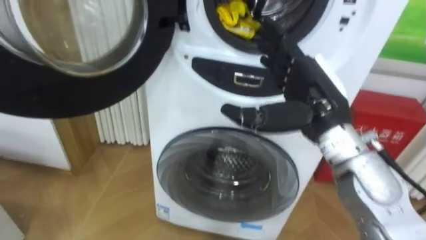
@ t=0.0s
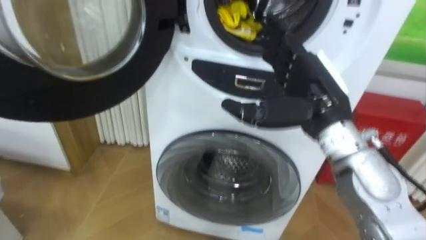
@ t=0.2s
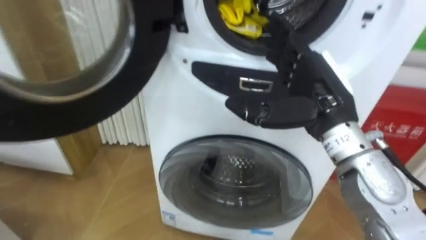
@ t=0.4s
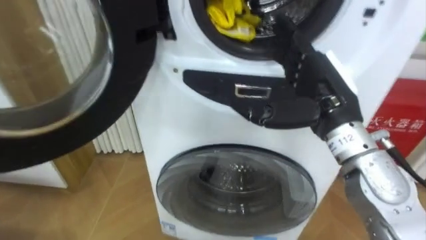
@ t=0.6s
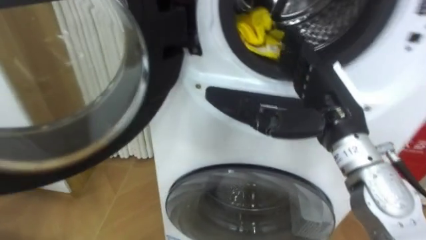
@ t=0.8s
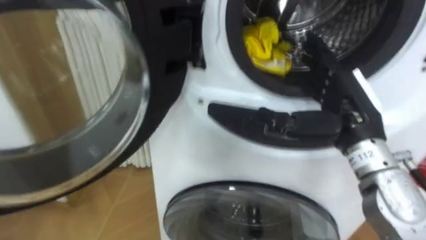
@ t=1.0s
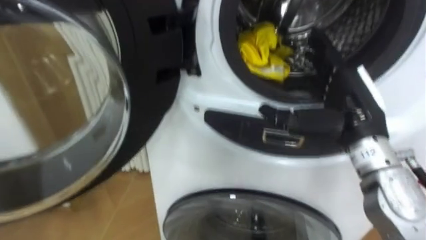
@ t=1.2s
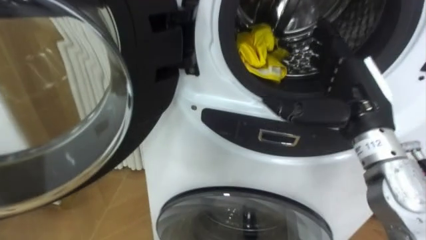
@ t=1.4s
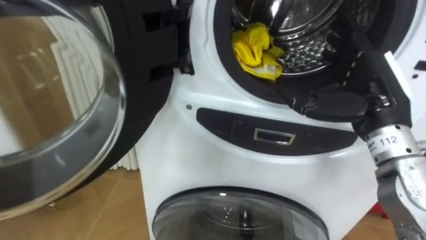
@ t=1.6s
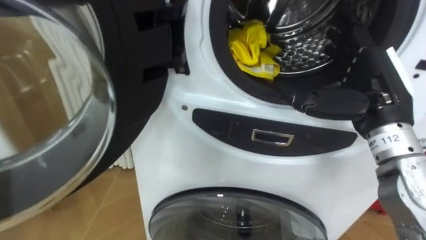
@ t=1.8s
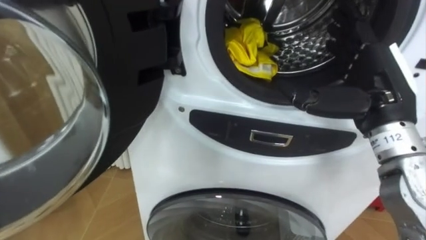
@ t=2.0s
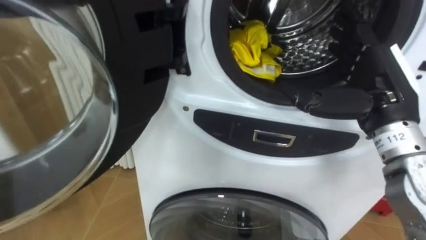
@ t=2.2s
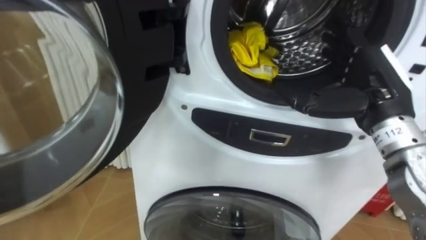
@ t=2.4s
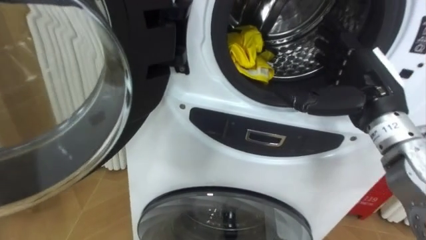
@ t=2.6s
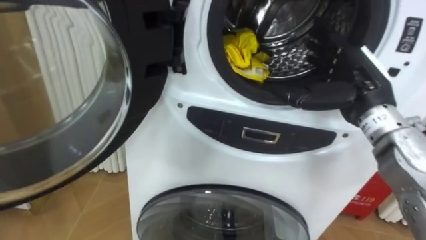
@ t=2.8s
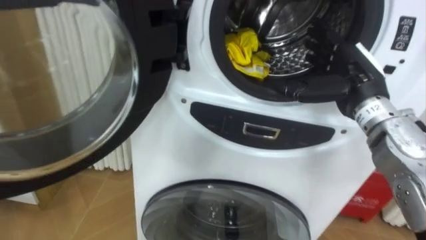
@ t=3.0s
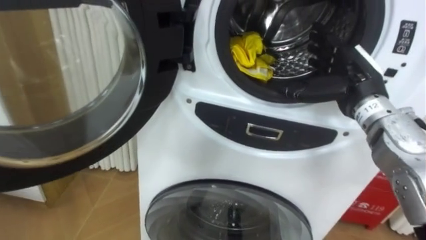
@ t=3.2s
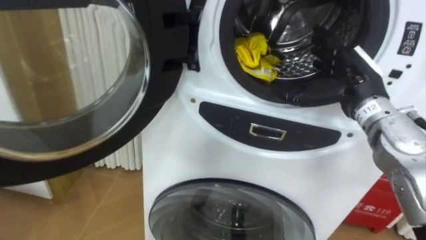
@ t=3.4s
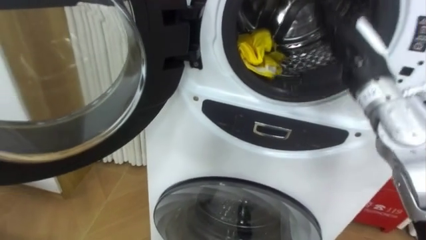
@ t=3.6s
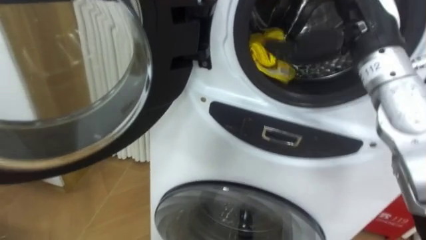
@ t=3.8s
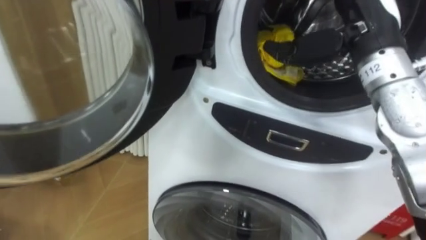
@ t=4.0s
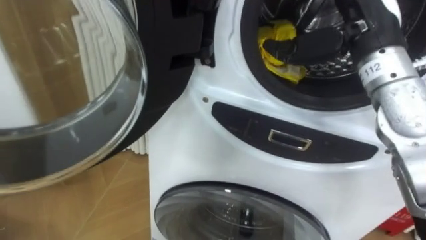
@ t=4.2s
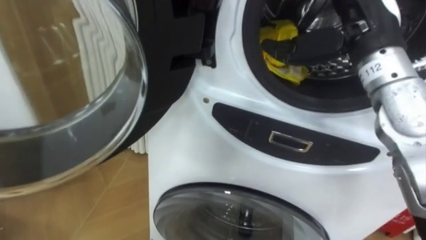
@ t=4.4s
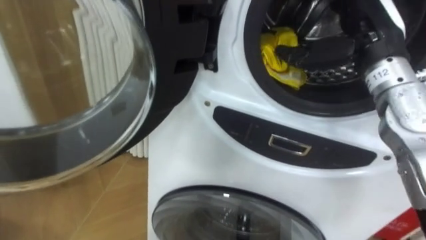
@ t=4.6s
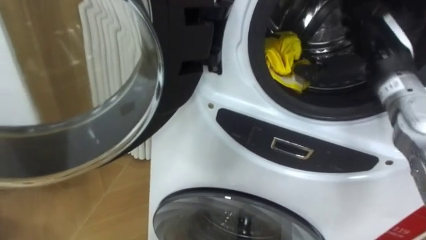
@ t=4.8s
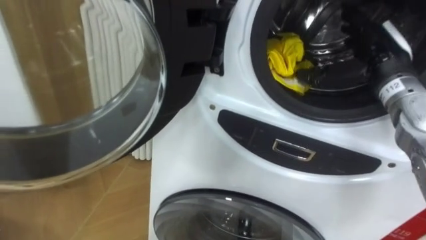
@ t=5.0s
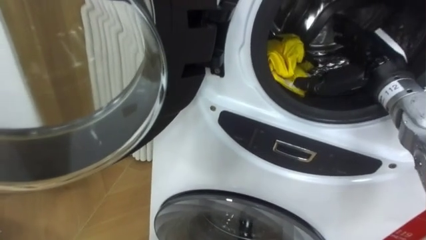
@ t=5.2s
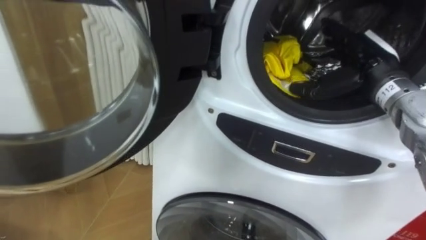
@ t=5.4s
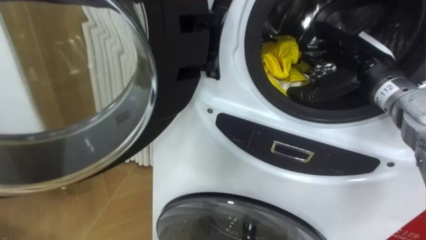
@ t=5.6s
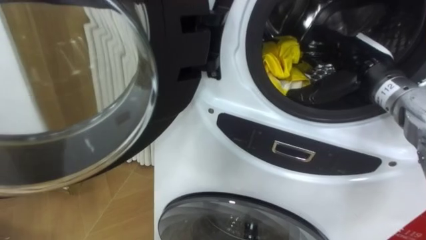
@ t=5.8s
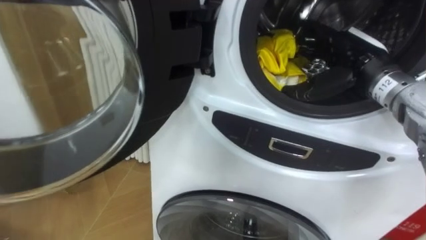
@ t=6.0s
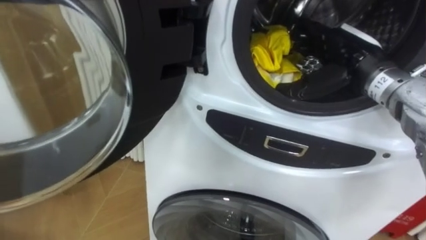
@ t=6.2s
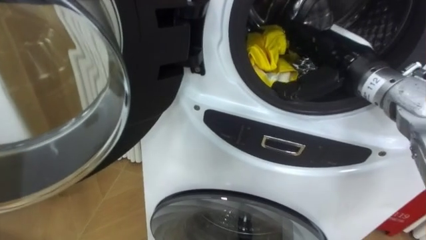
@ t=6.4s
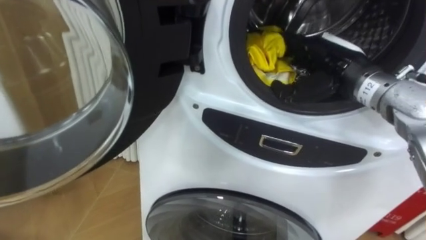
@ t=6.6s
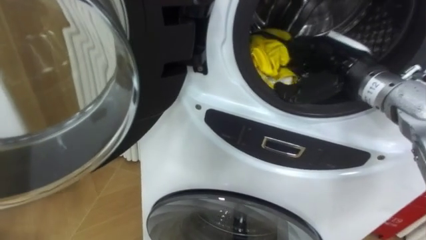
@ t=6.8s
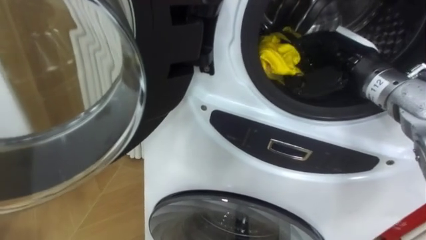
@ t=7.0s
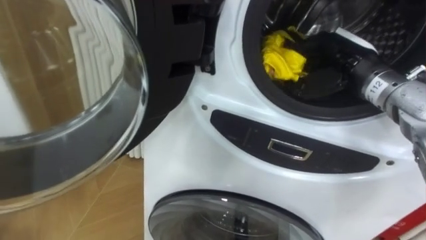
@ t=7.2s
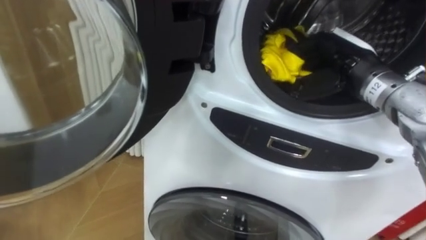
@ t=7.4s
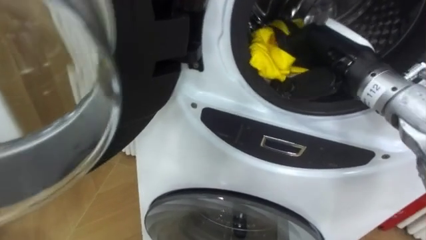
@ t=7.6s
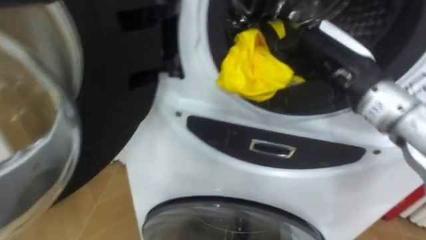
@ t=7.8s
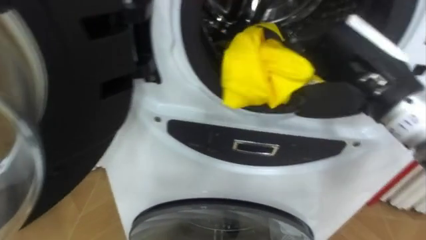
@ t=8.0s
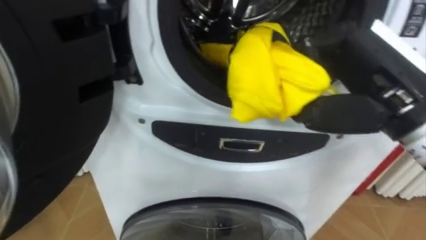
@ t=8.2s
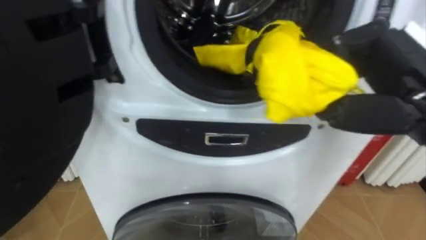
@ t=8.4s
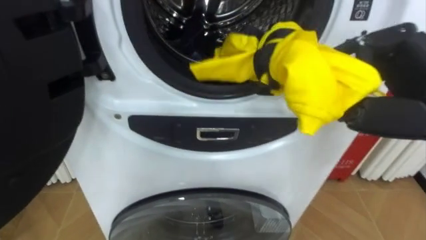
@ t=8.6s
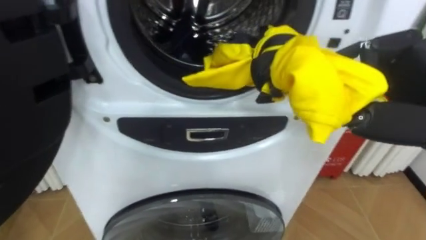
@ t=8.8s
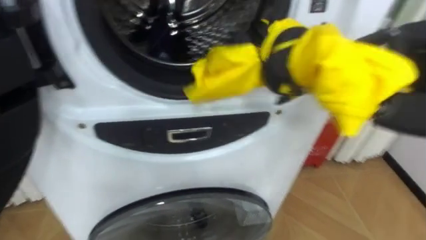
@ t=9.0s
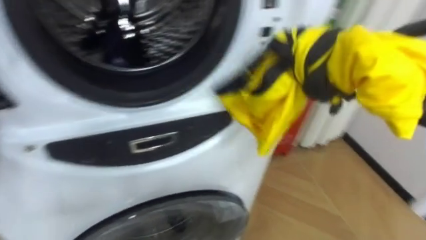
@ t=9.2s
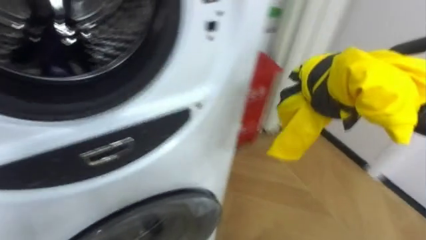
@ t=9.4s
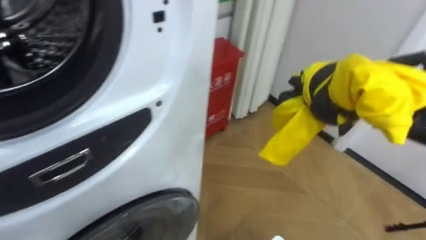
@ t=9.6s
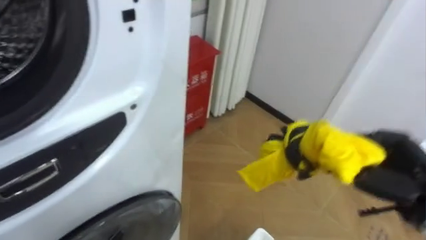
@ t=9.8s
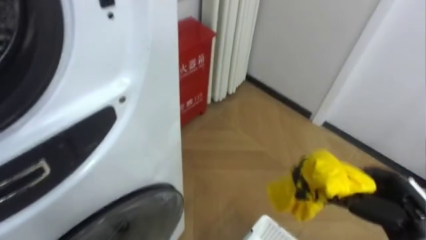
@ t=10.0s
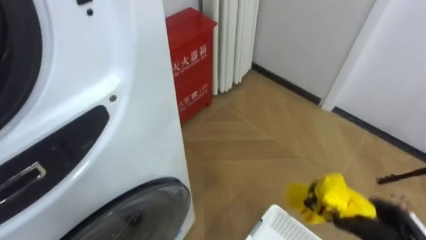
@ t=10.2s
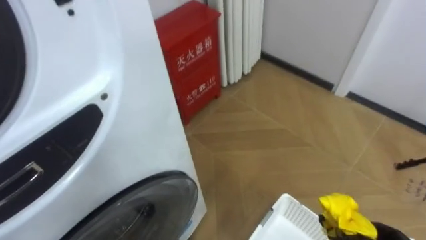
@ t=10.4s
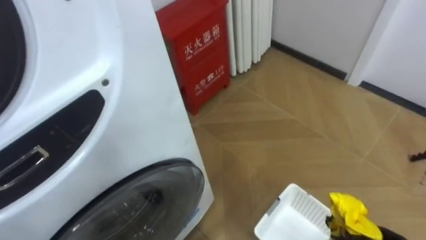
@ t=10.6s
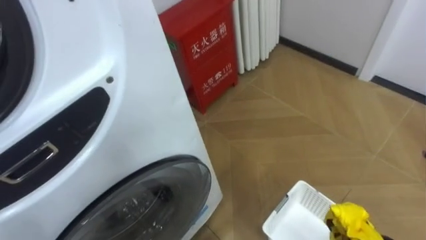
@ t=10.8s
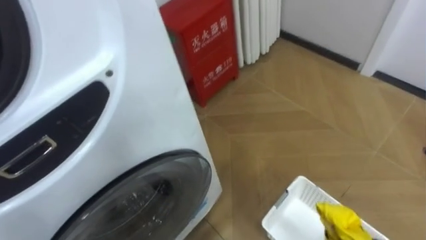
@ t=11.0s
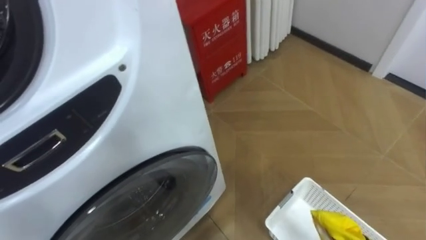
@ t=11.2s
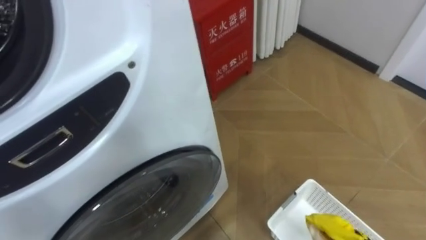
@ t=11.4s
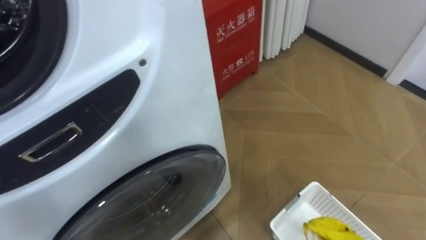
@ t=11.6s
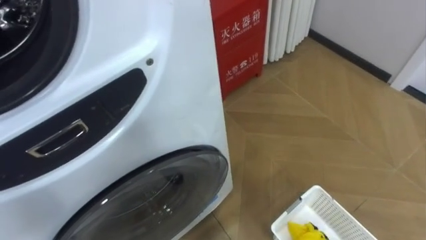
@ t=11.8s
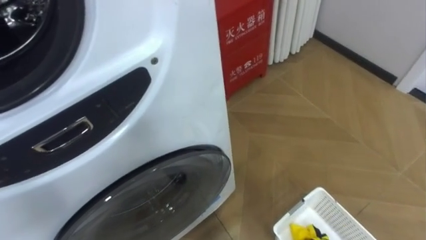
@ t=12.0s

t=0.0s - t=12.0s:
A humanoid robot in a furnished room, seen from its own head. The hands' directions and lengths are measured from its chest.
Task of the whole recording: Open the washing machine door, take out the yellow clothes, place them in the box on the right, and close the washing machine door.
t=0.0s - t=1.6s: The right hand goes approximately 10 cm to the right.
t=1.6s - t=3.0s: The right hand moves forward, some 5 cm.
t=3.0s - t=4.4s: The right hand is displaced upward by approximately 10 cm.
t=4.4s - t=6.0s: The right hand is displaced downward by approximately 10 cm.
t=6.0s - t=7.6s: The right hand moves some 5 cm, and closes.
t=9.0s - t=10.4s: The robot faces some 25 degrees further to its right.

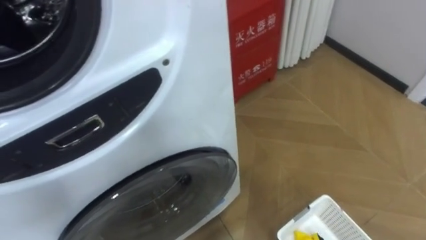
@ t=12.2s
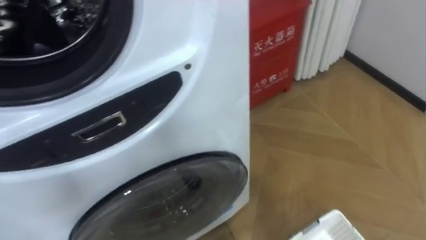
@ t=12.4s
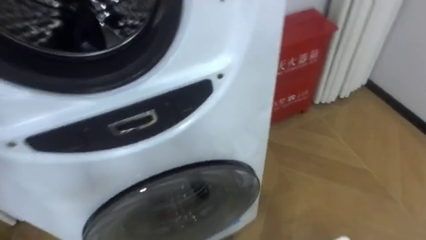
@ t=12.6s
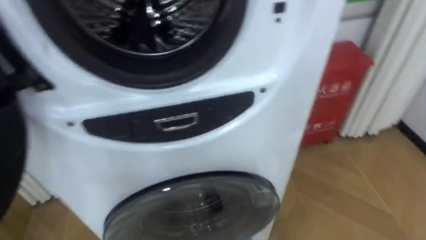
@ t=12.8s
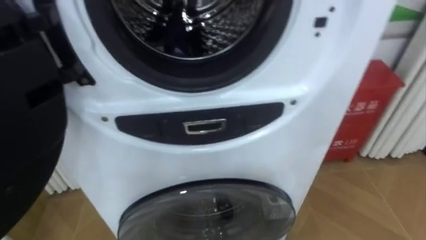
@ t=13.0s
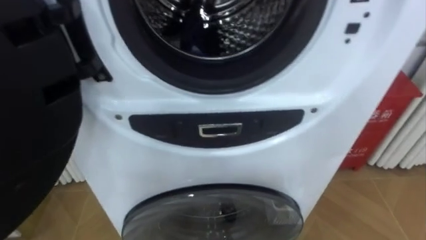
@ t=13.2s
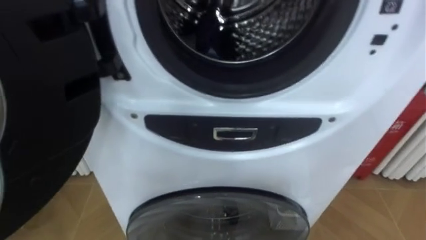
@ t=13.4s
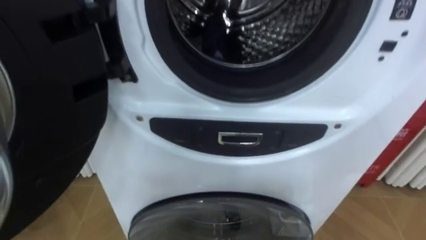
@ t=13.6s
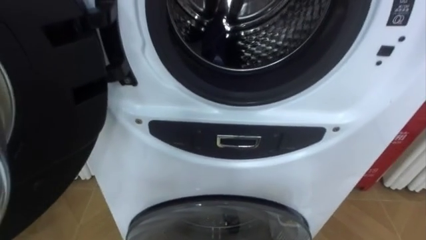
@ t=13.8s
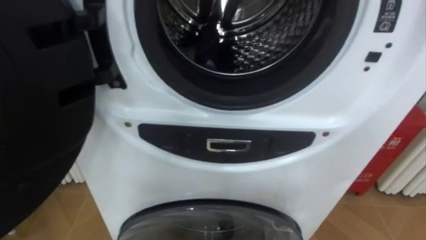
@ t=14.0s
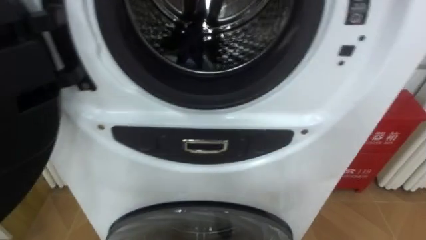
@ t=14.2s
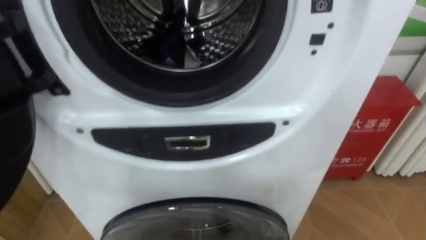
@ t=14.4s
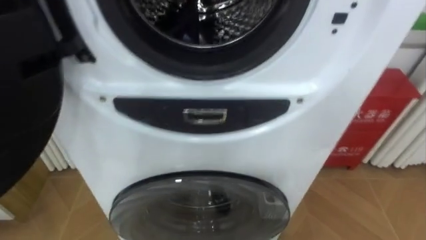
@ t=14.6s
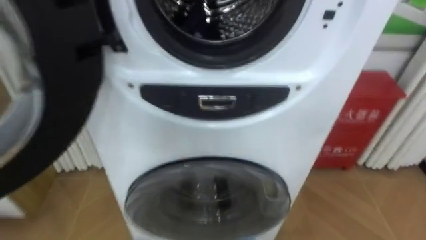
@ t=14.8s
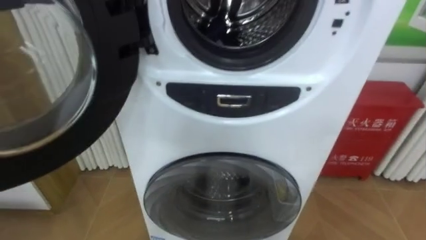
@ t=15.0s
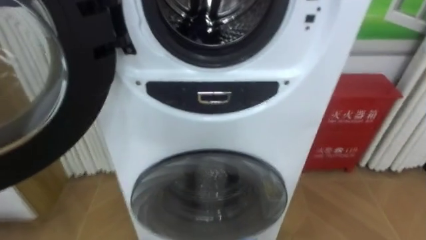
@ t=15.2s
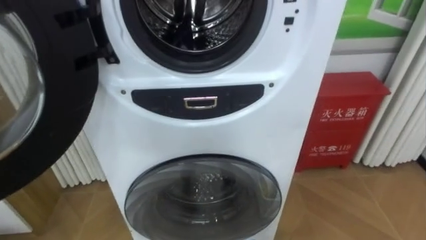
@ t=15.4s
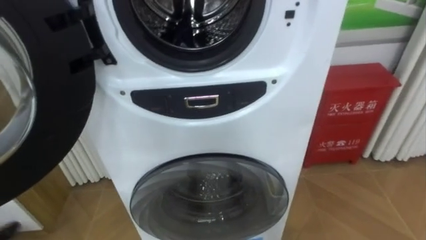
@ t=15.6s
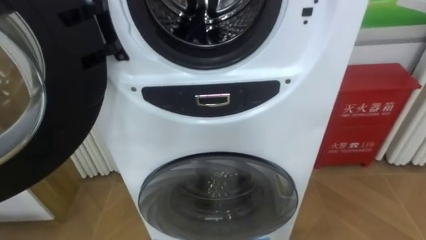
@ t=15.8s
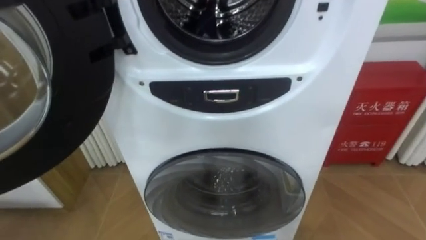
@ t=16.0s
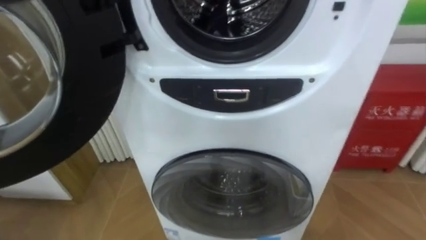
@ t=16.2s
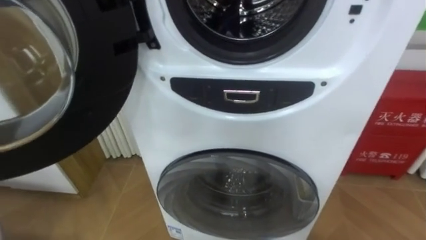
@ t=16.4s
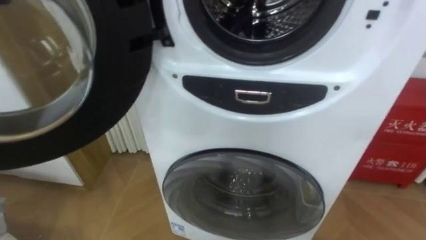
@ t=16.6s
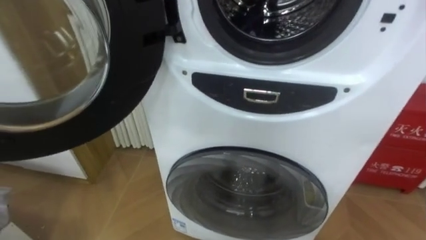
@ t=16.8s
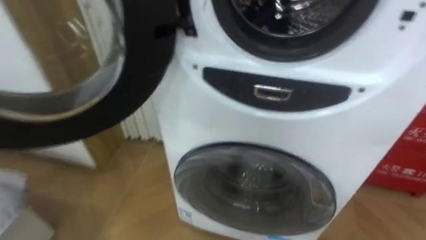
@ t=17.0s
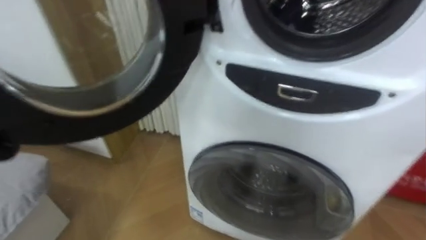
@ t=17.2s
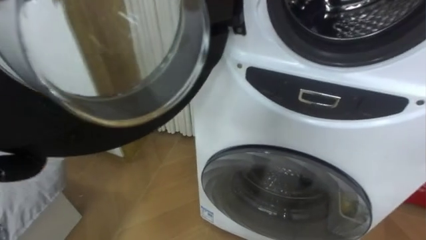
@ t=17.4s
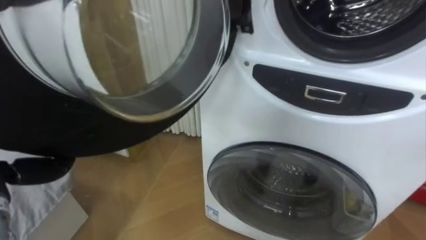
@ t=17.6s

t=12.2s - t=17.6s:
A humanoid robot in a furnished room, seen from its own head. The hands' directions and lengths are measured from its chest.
Task of the whole recording: Open the washing machine door, take out the yellow clothes, place them in the box on the right, and close the washing machine door.
t=16.2s - t=17.6s: The robot faces roughly 20 degrees further to its left.
